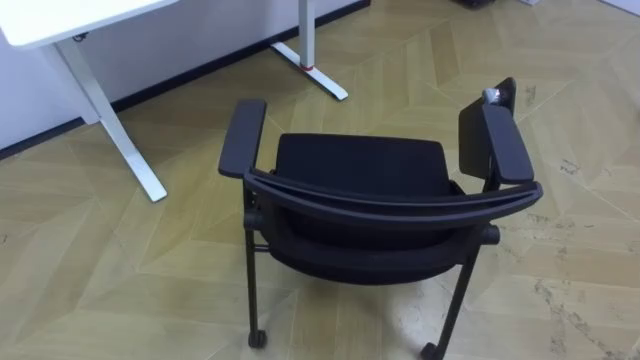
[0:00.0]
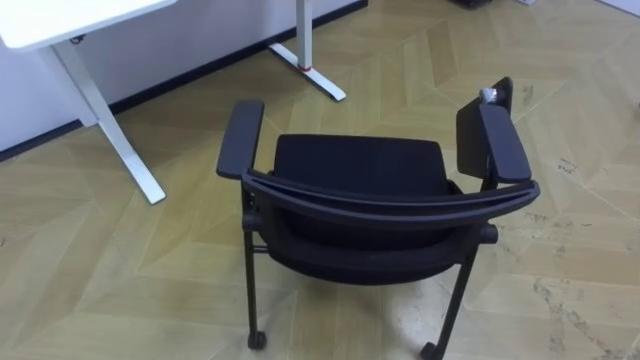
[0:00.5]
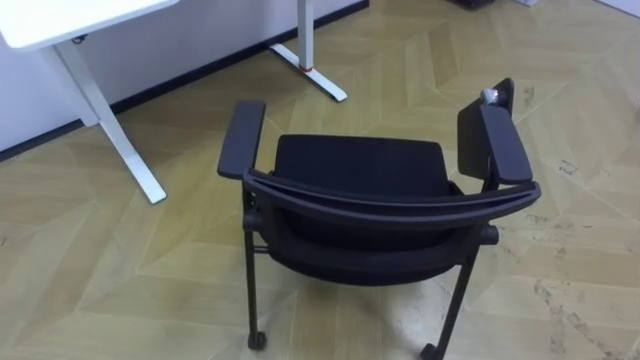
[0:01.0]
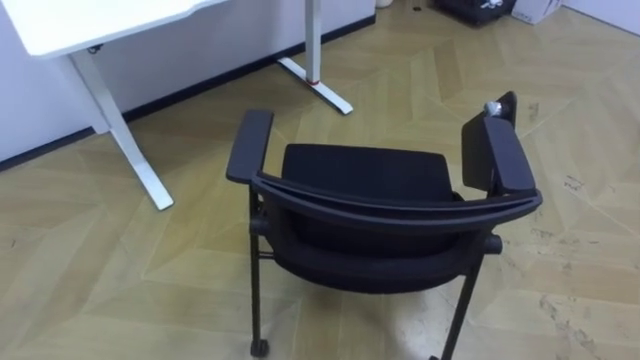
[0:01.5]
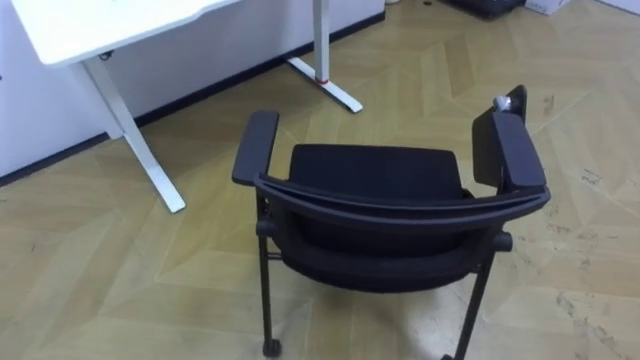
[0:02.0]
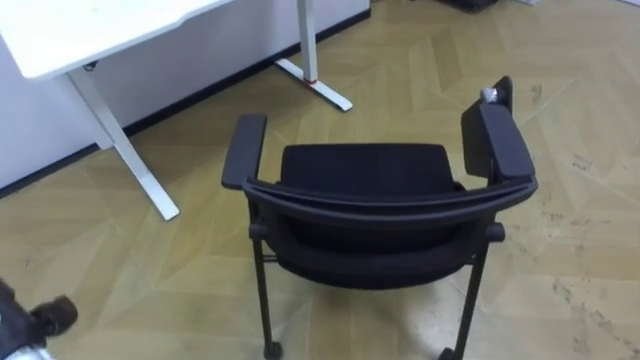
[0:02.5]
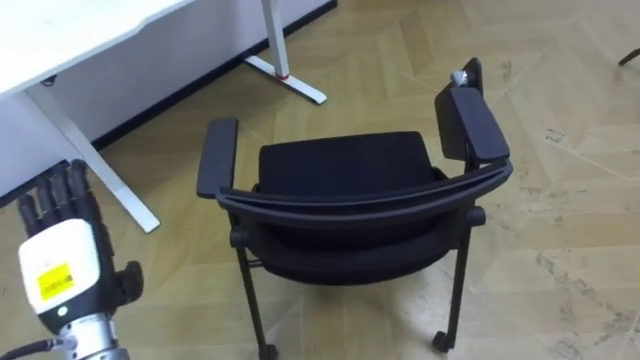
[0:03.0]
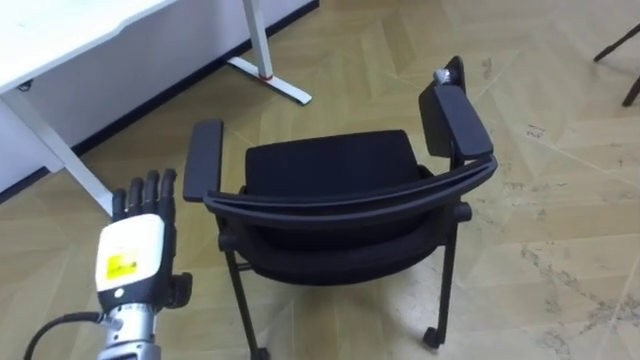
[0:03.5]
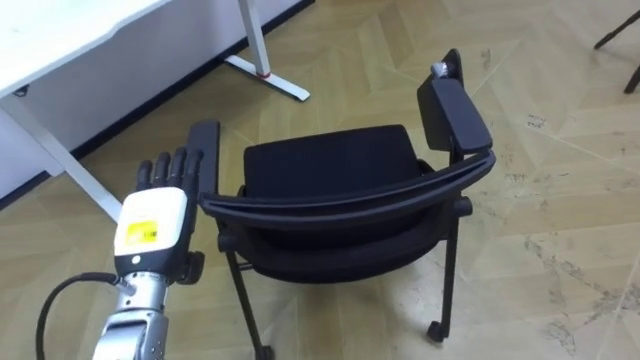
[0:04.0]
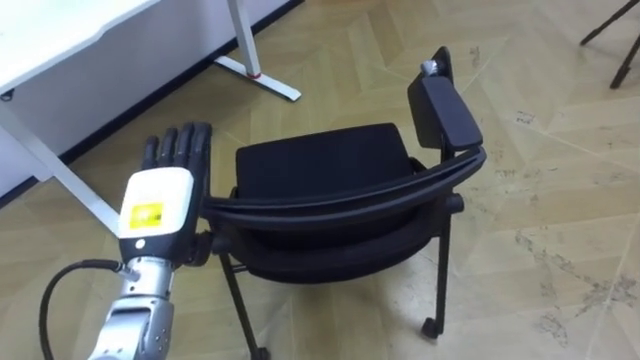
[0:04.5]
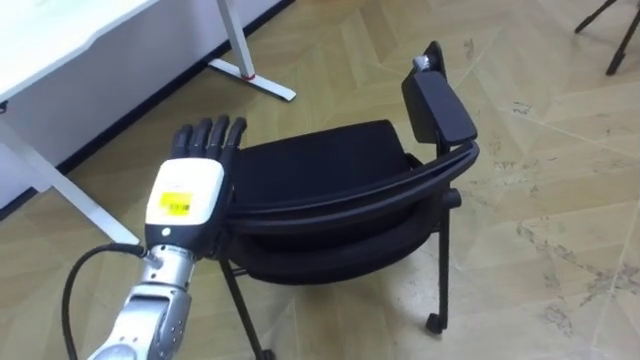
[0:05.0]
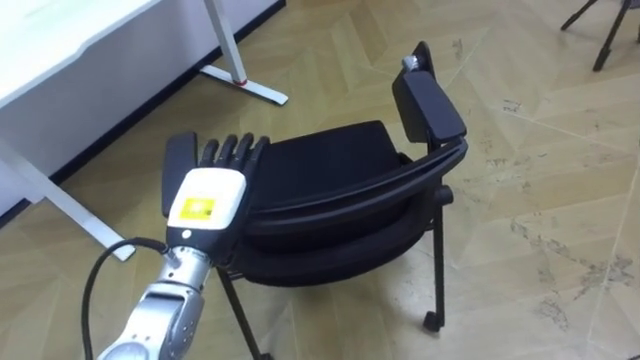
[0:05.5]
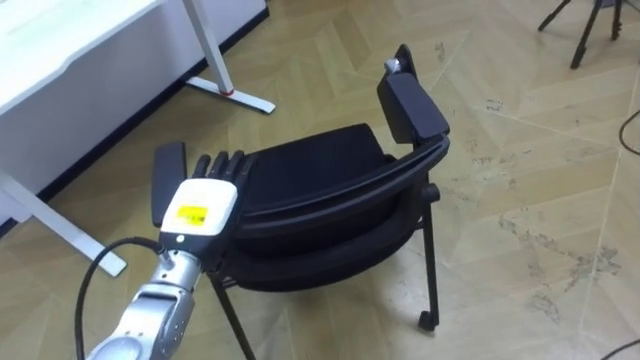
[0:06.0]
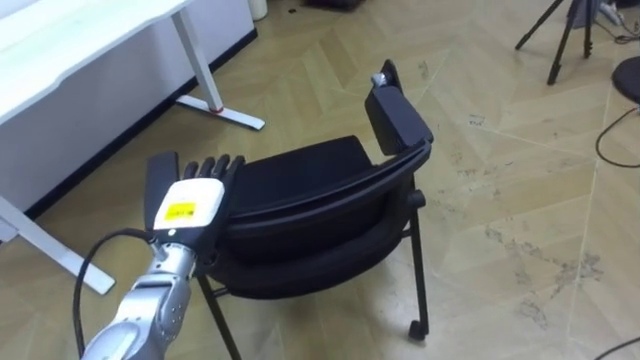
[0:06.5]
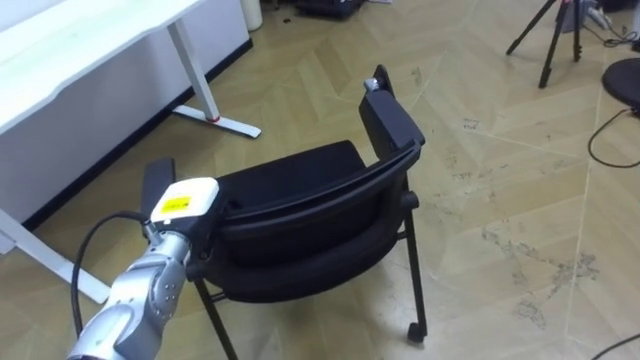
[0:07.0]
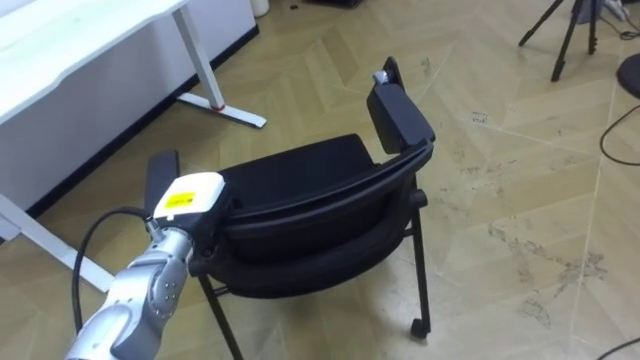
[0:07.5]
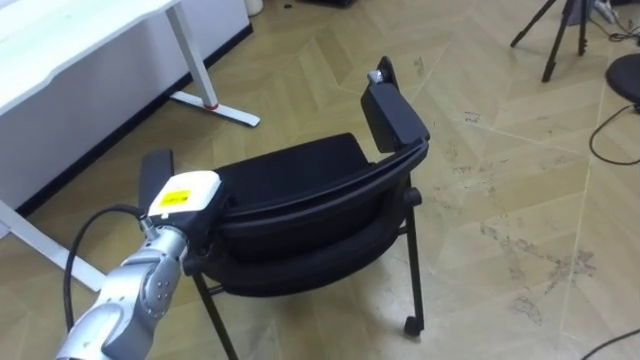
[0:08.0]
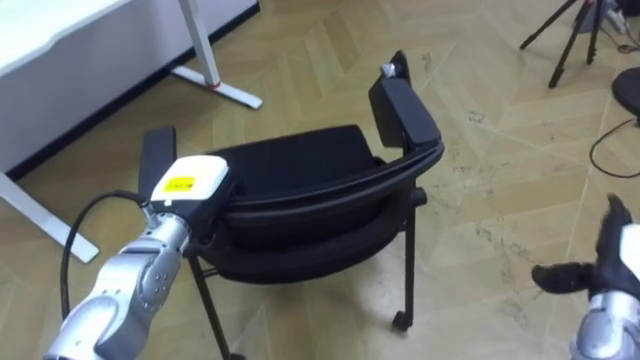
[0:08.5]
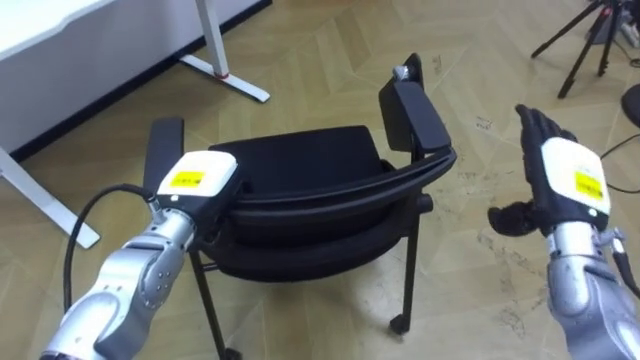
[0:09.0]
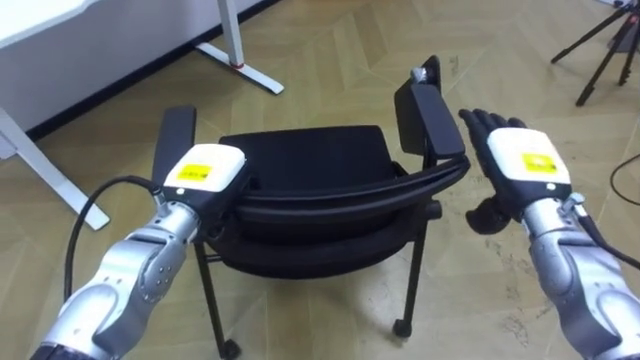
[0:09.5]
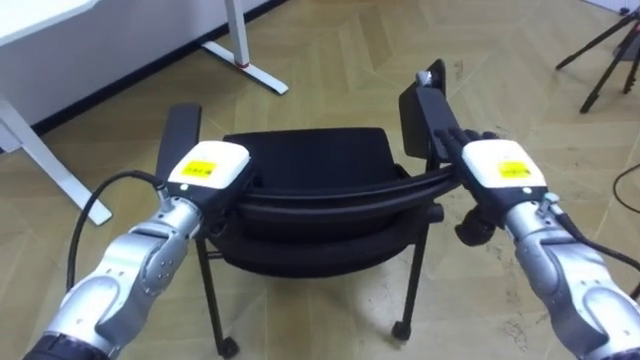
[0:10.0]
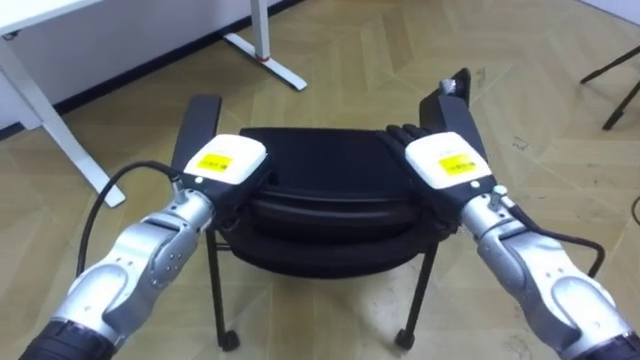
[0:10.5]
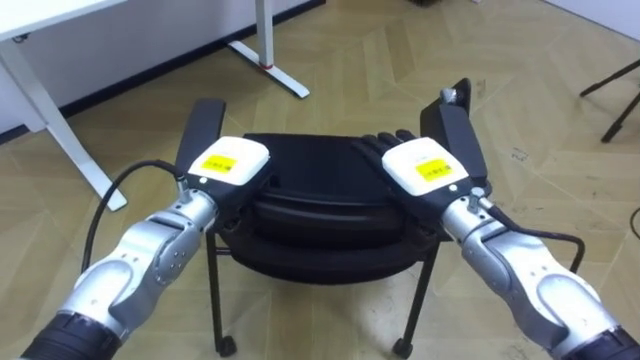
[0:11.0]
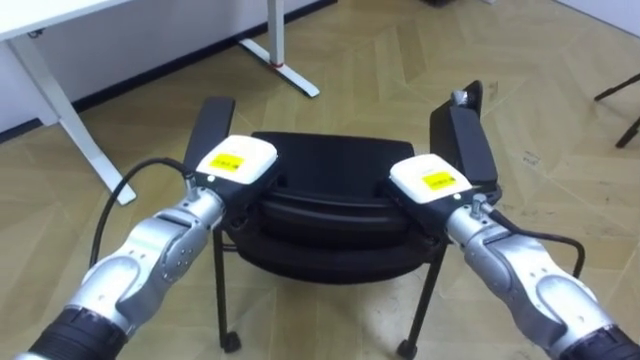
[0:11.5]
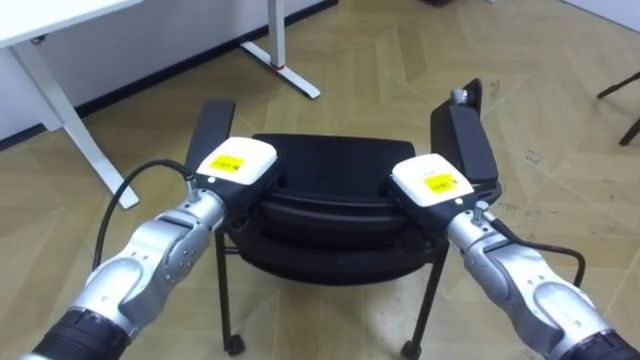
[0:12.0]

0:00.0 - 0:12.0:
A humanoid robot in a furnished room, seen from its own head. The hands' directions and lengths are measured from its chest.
Task of the whole recording: Push the chair under the table.
0:04.0 - 0:06.0: The left hand shifts by some 5 cm.
0:06.0 - 0:08.0: The left hand closes its fingers.
0:08.0 - 0:10.0: The left hand changes place by some 5 cm.
0:10.0 - 0:12.0: The right hand shifts about 10 cm to the left, and closes.

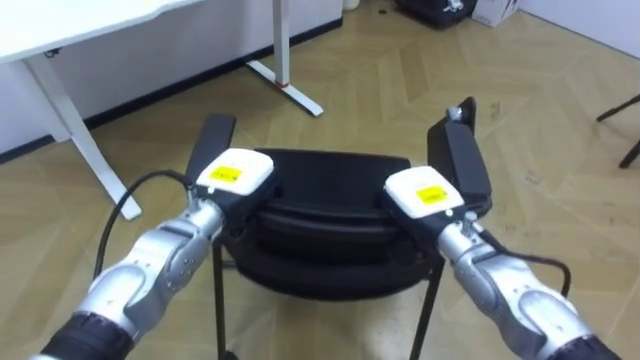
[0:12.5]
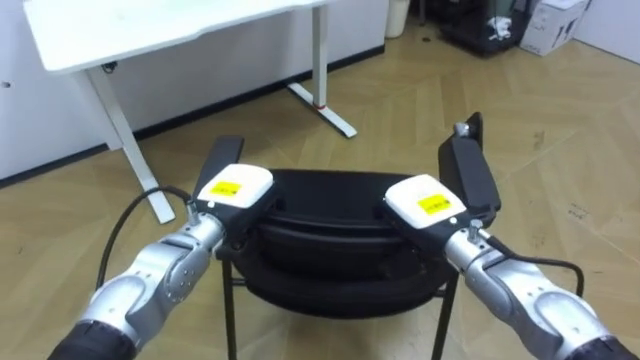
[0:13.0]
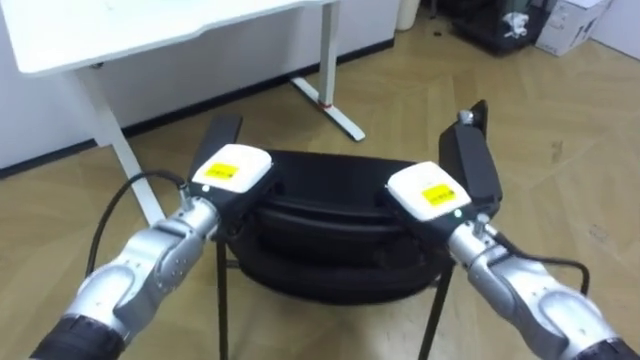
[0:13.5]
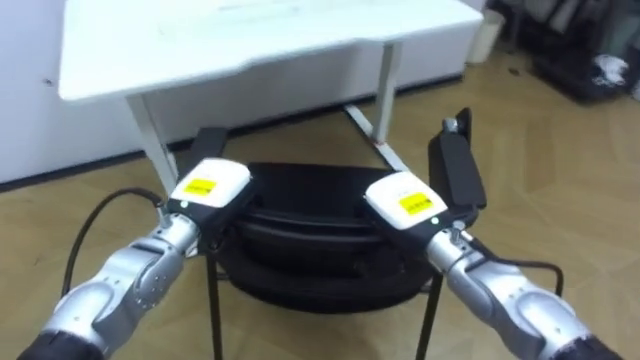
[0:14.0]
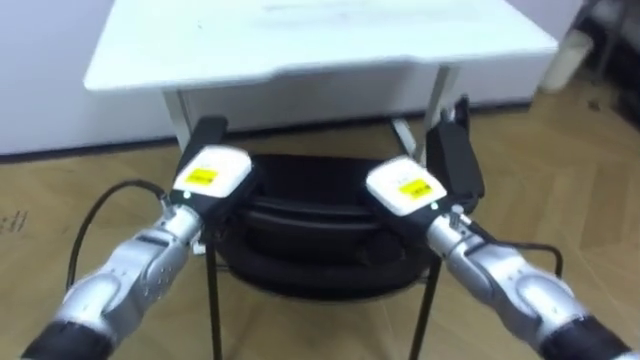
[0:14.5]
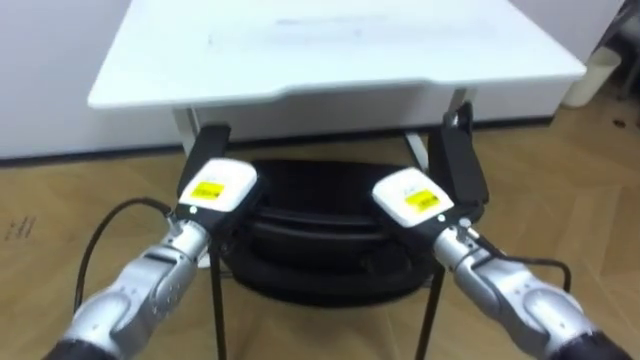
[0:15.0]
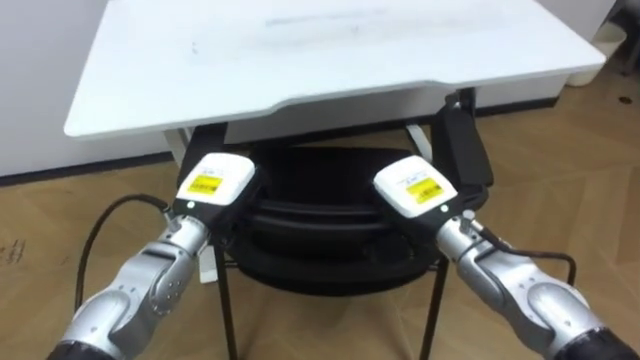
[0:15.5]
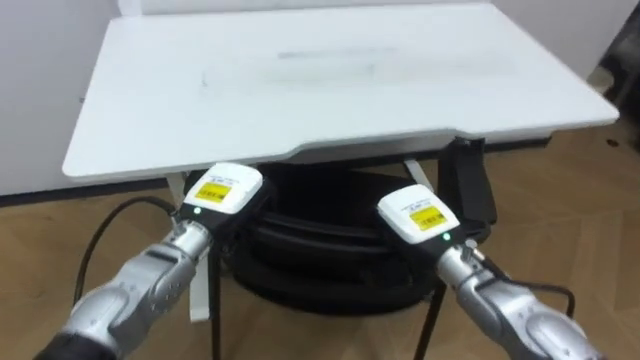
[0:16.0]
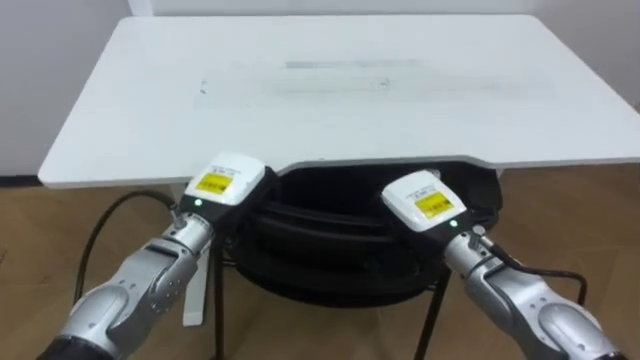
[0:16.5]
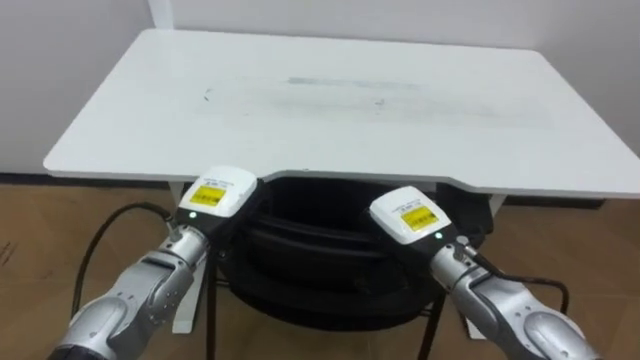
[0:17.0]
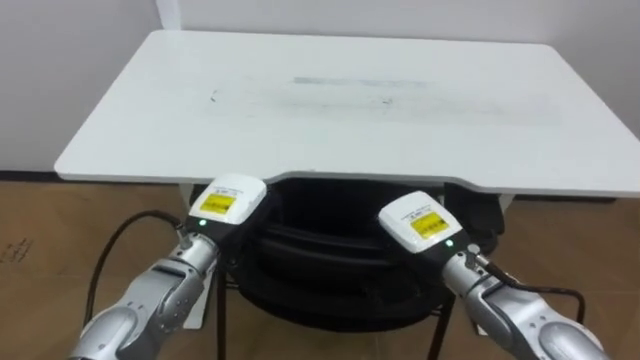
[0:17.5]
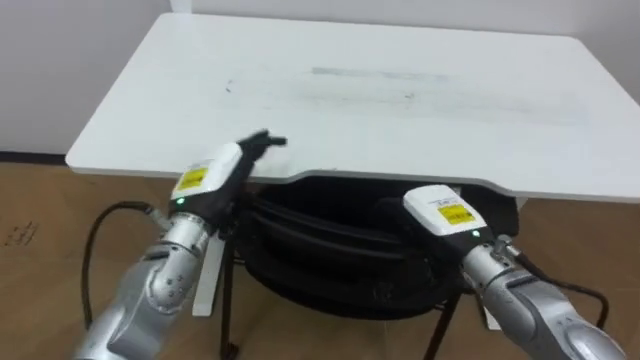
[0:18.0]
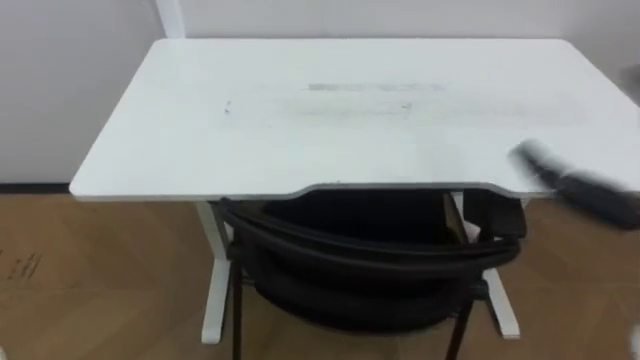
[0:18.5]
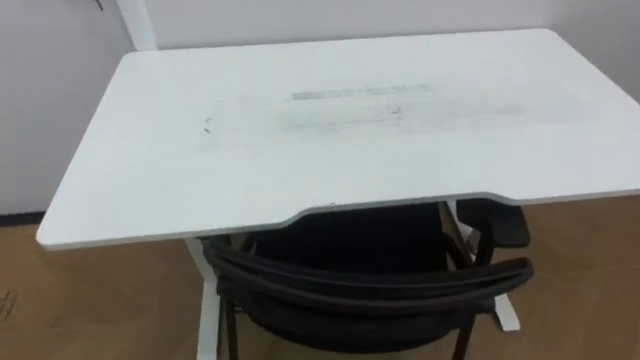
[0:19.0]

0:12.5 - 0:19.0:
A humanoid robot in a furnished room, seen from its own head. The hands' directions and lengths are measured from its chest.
Task of the whole recording: Push the chair under the table.
0:12.5 - 0:14.5: The robot turns to its left by about 25 degrees.

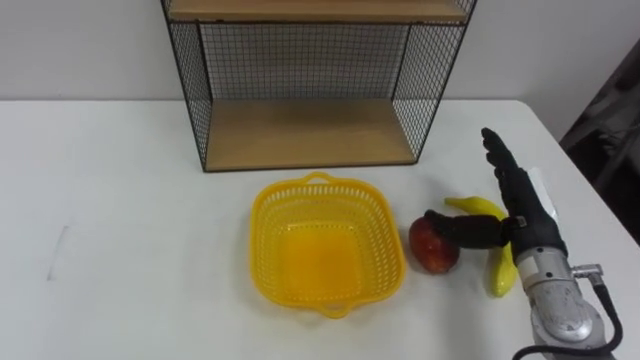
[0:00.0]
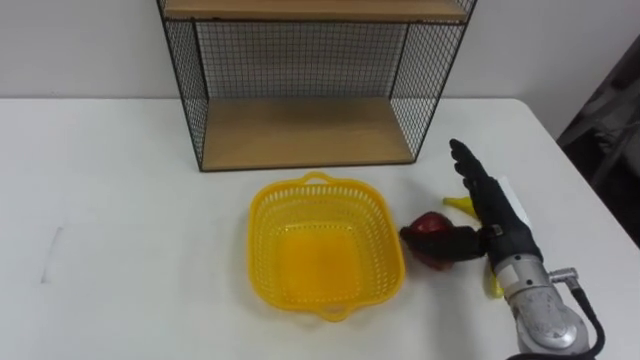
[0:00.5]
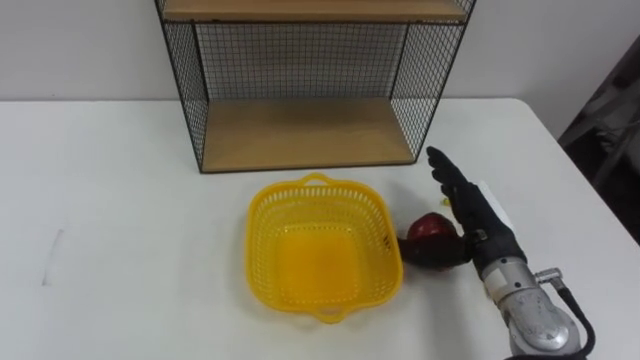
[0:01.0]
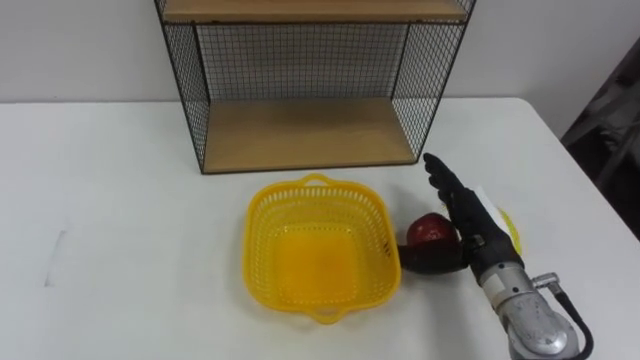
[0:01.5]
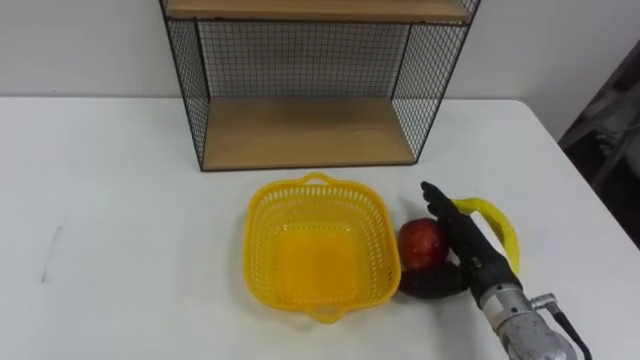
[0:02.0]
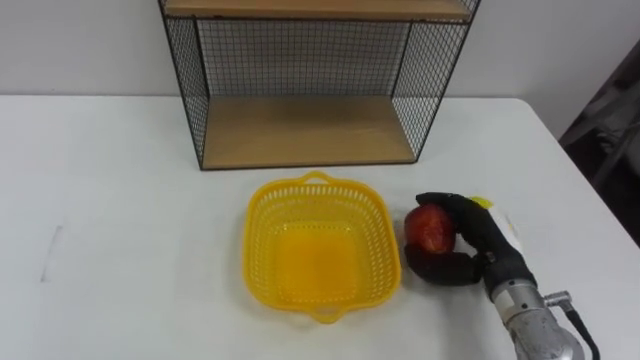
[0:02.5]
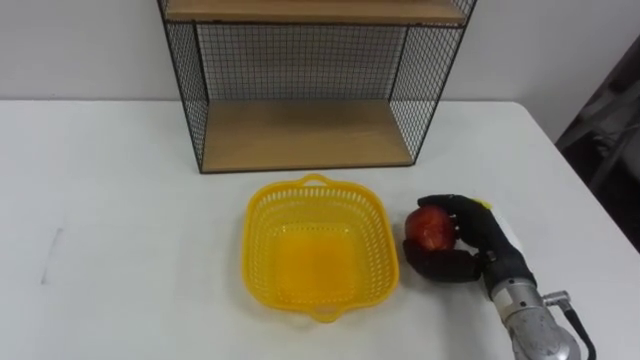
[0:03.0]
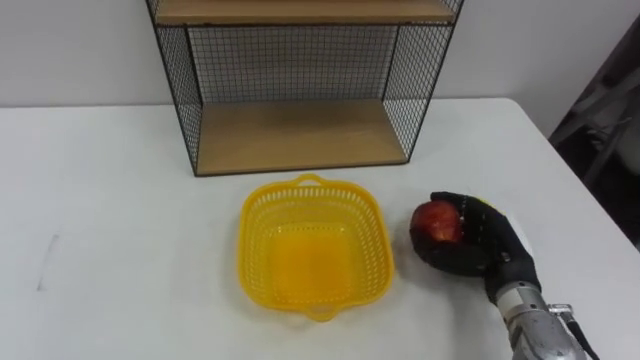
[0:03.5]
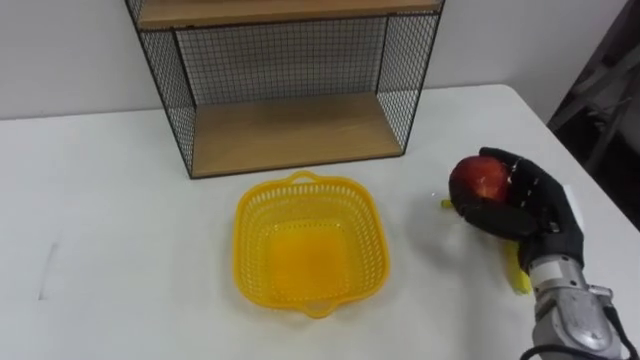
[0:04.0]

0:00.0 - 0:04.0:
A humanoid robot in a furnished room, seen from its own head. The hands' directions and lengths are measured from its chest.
Task of the whole recording: Put the fruit on the table into the basket, then place the basket on the shelf.
0:00.0 - 0:02.0: The right hand goes roughly 5 cm downward.
0:02.0 - 0:04.0: The right hand moves to the right, roughly 5 cm, and closes.
